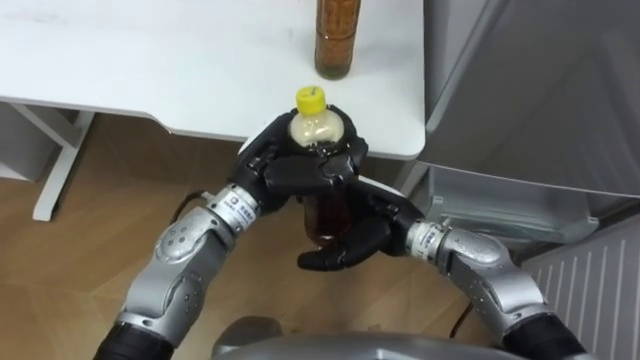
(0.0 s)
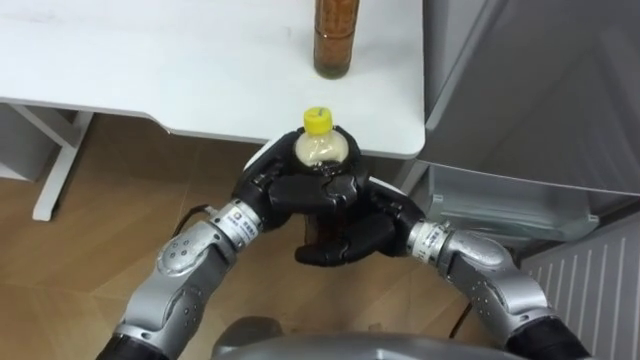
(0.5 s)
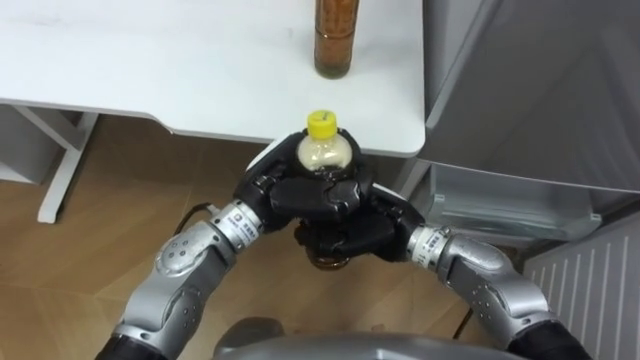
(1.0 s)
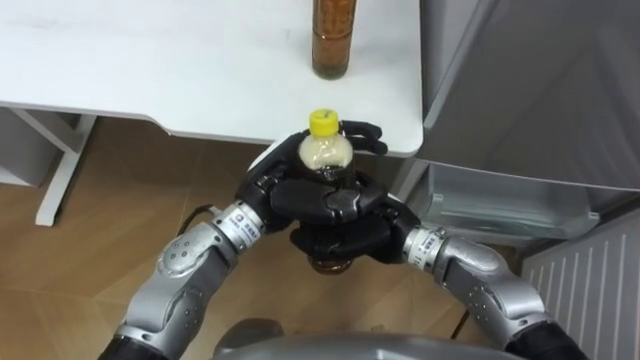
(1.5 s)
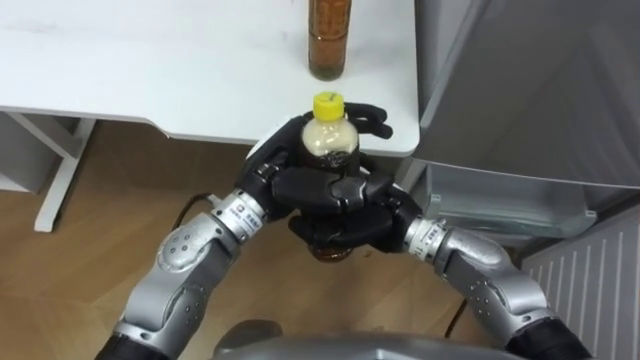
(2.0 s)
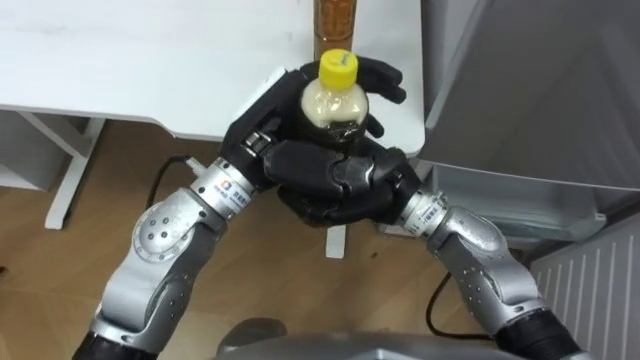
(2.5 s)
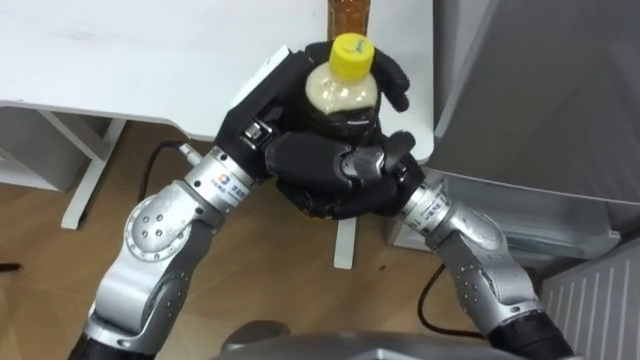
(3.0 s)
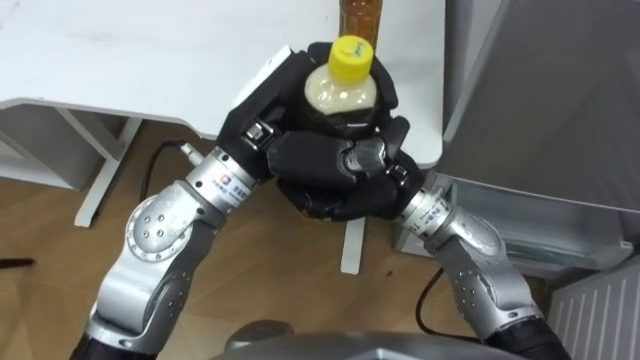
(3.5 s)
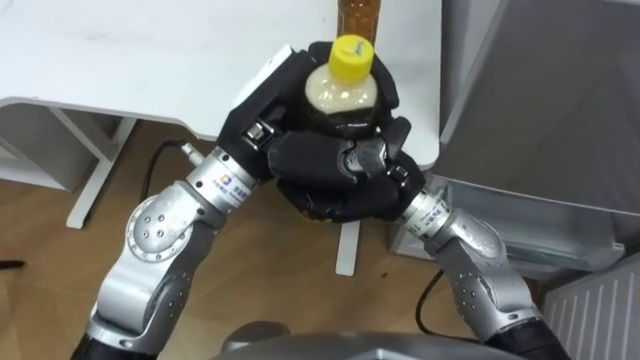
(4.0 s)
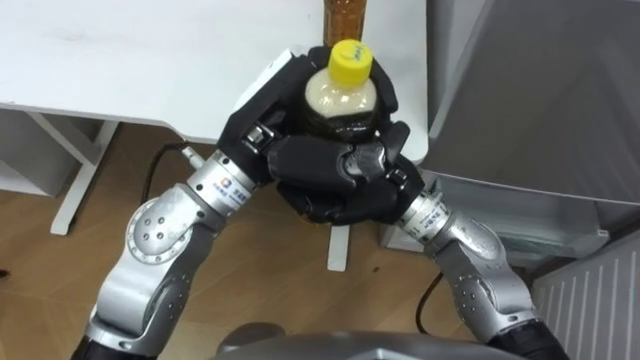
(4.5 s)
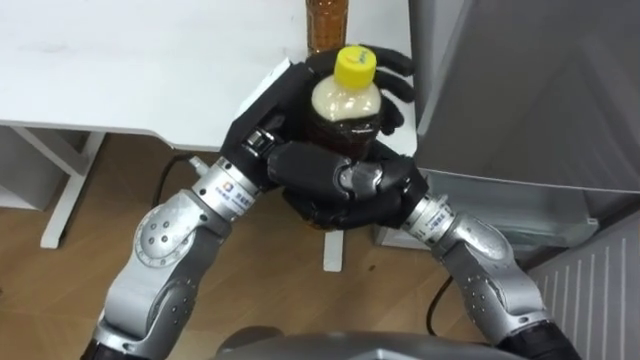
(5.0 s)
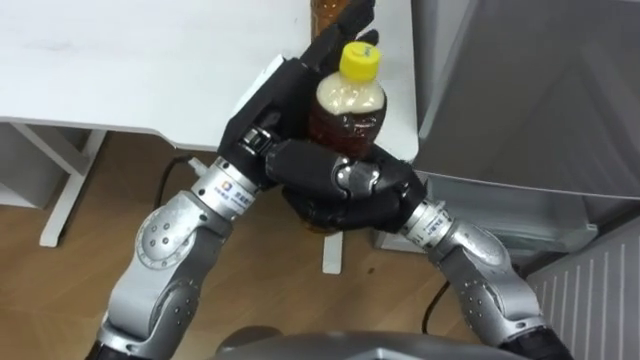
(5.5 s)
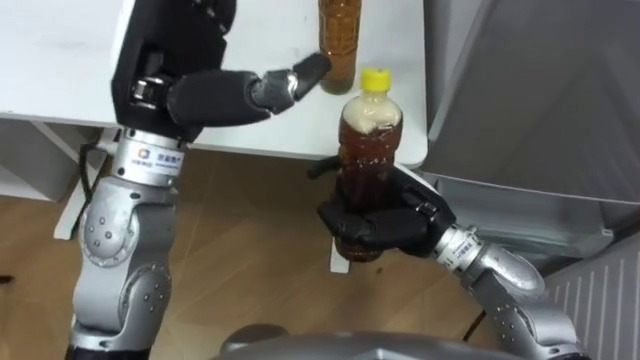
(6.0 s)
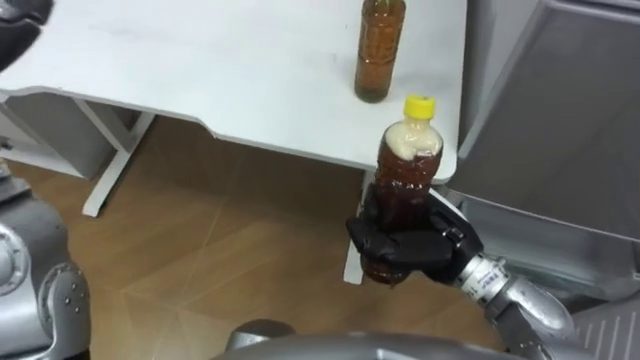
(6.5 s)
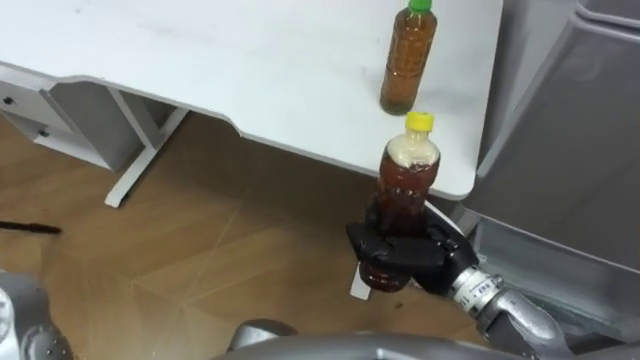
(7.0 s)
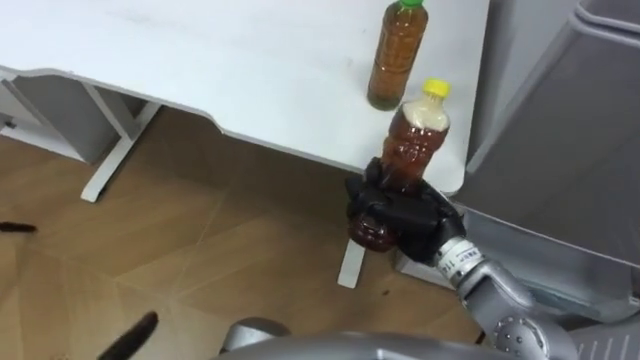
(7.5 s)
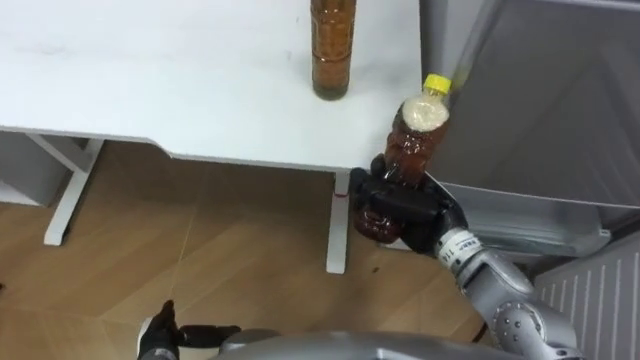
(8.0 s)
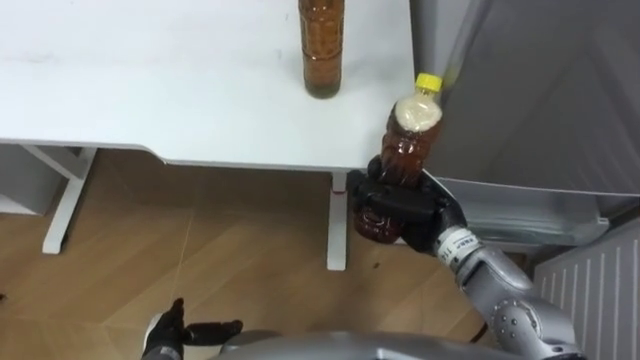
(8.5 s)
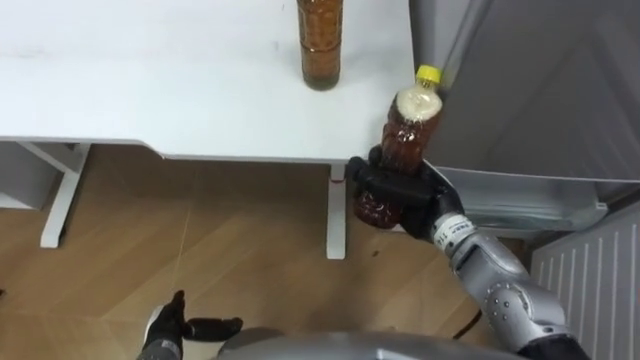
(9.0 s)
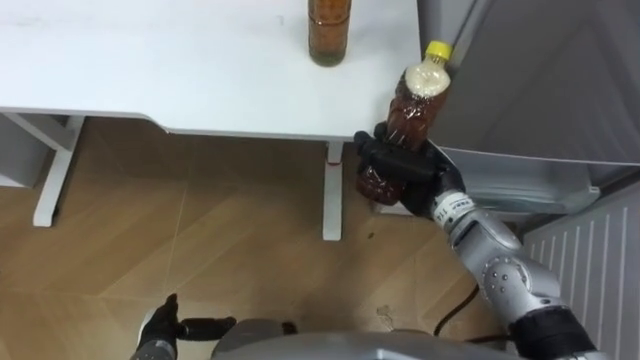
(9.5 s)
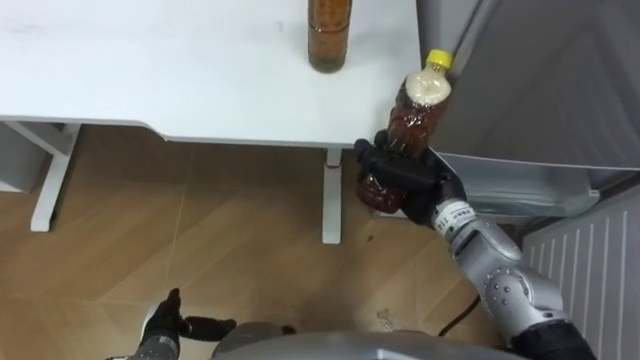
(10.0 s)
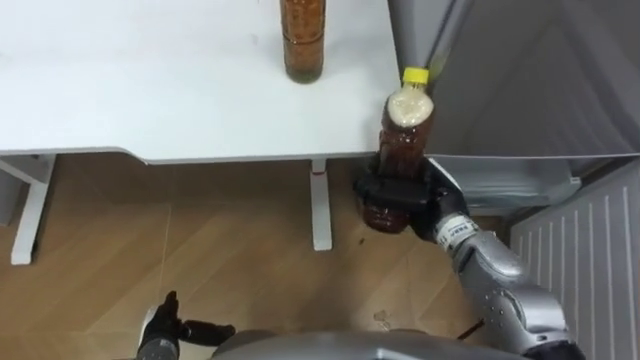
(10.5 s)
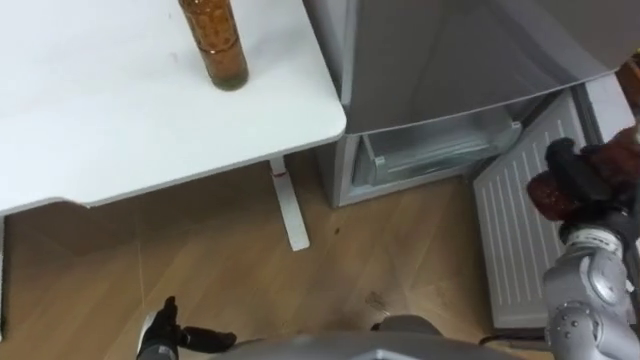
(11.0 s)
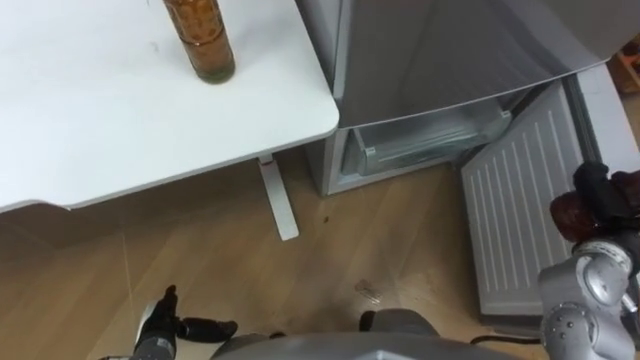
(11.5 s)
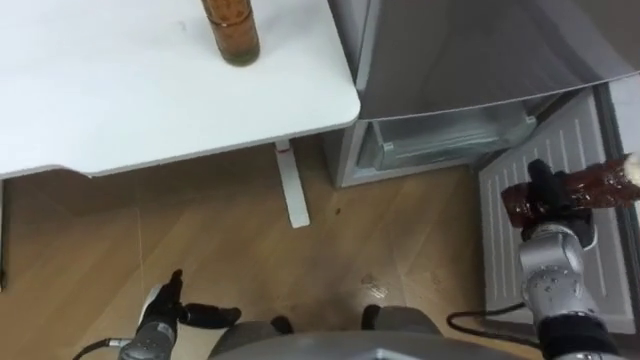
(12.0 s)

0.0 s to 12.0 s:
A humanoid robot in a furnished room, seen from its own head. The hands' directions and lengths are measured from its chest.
Task of the whole recording: Place the drink on the table on the bottom shelf of the refrigerator, then close the drawer and the refrigerator door.
0.0 to 2.0 s: The right hand closes up.
2.0 to 4.0 s: The hands both shift upward by some 10 cm.
4.0 to 6.0 s: The left hand goes some 10 cm to the left, and opens, while the right hand moves some 5 cm.
6.0 to 8.0 s: The right hand ends up about 5 cm from where it was.
10.0 to 12.0 s: The right hand shifts some 20 cm to the right.

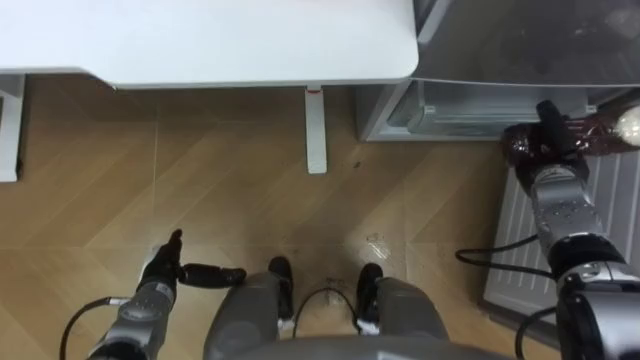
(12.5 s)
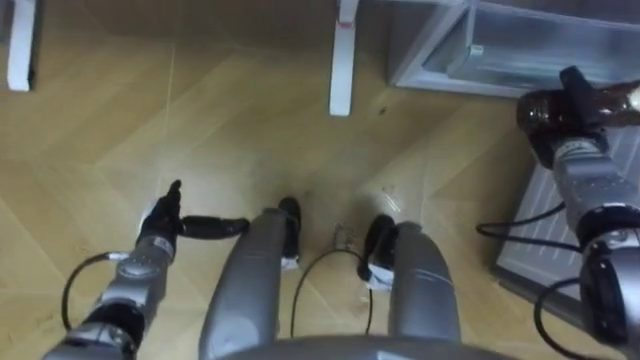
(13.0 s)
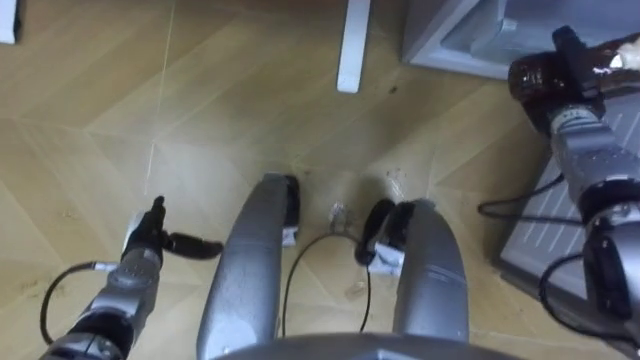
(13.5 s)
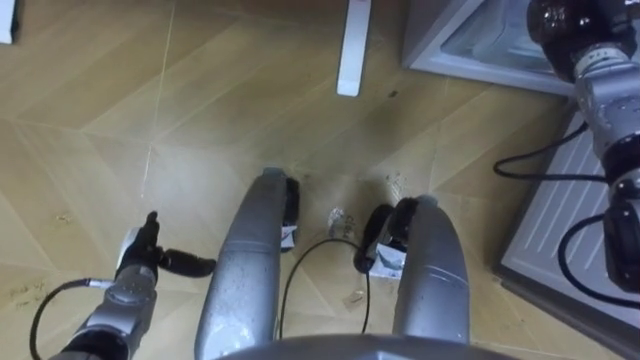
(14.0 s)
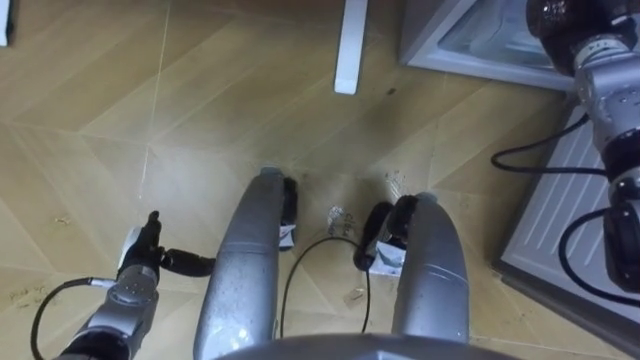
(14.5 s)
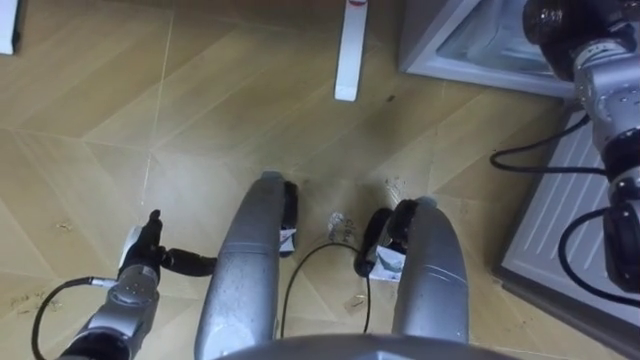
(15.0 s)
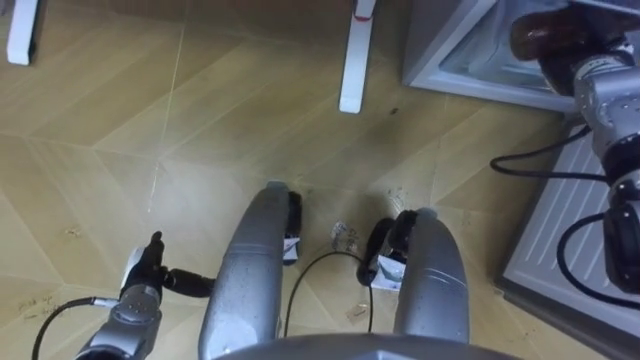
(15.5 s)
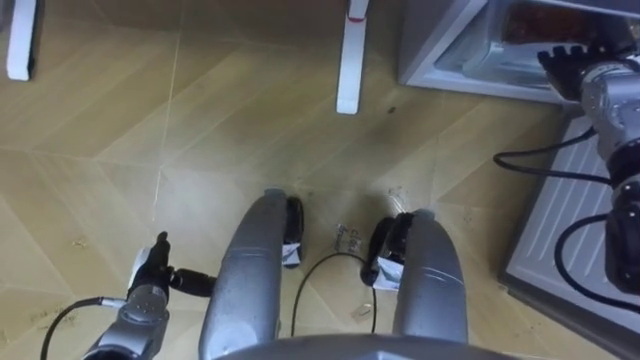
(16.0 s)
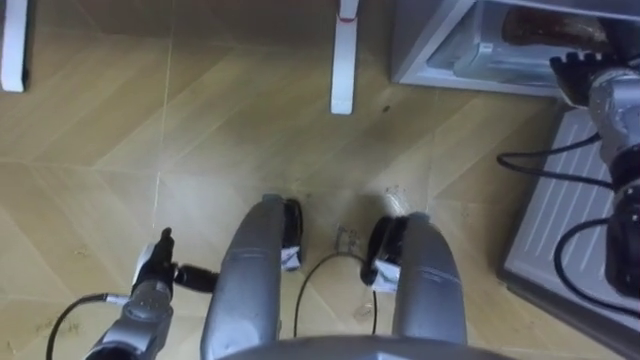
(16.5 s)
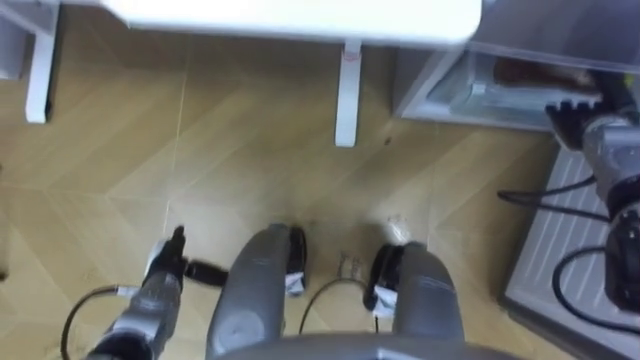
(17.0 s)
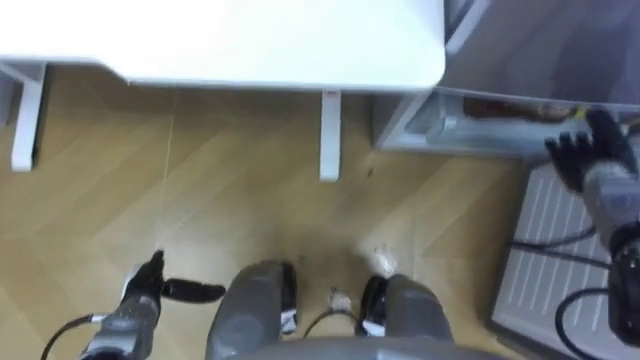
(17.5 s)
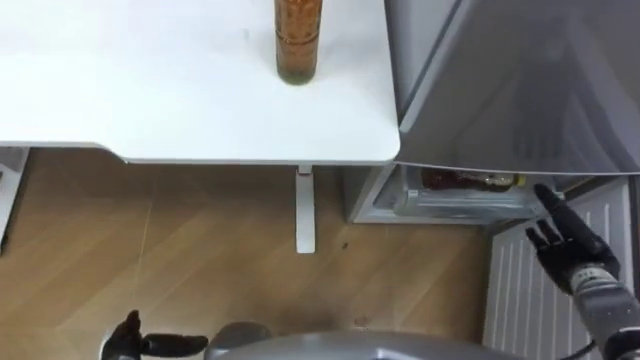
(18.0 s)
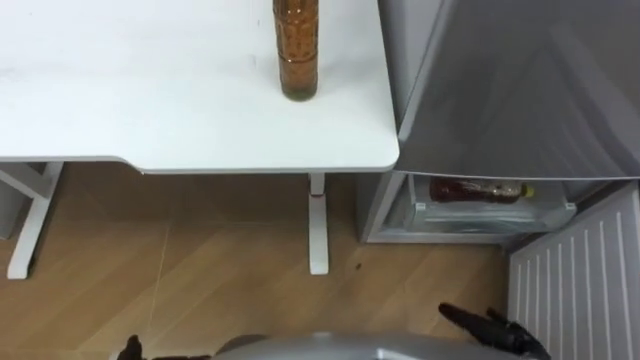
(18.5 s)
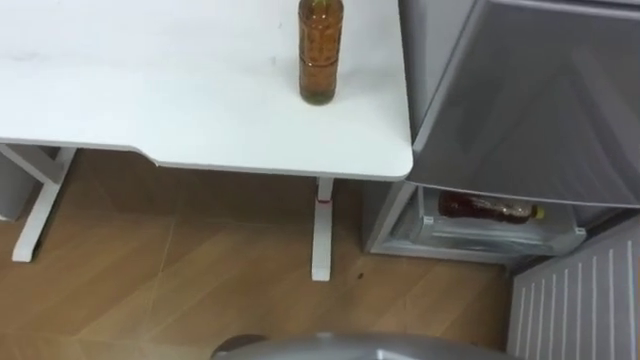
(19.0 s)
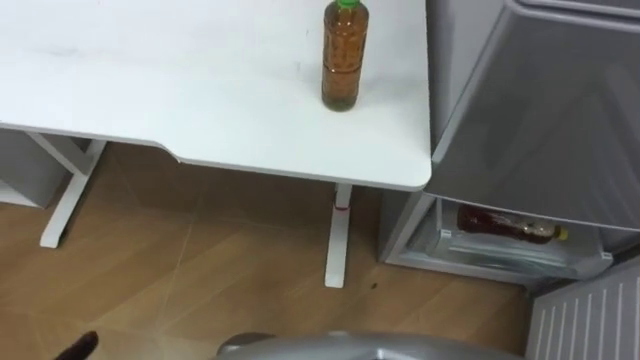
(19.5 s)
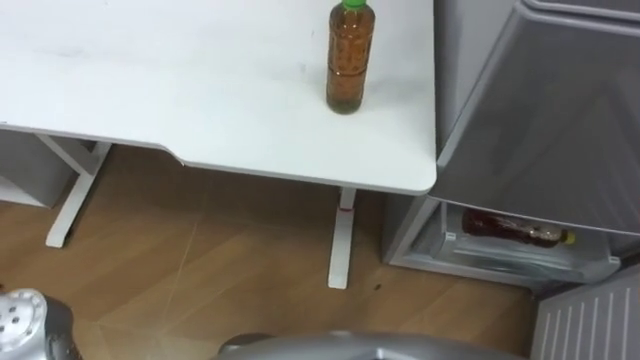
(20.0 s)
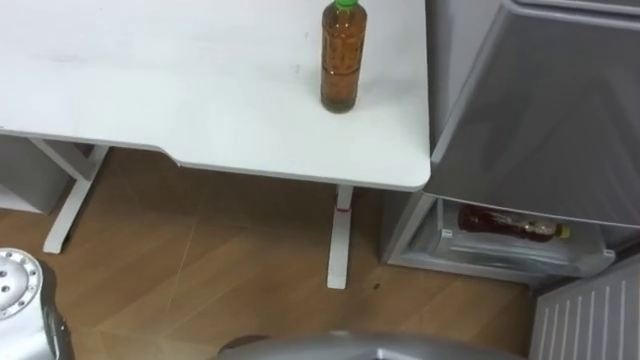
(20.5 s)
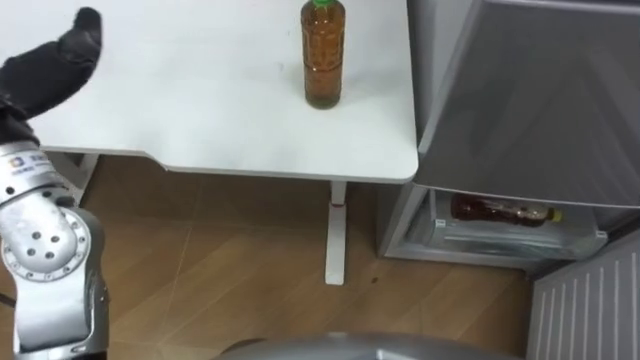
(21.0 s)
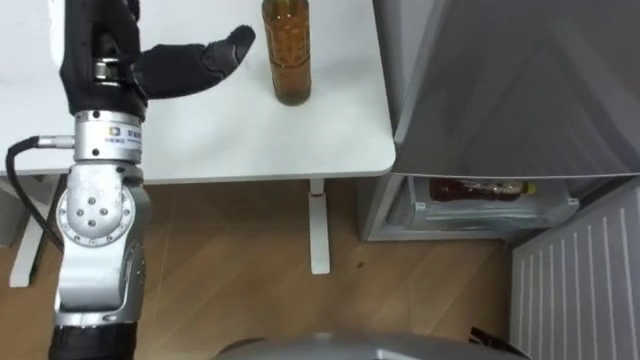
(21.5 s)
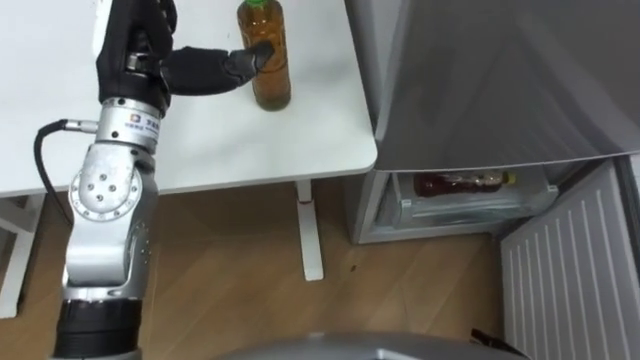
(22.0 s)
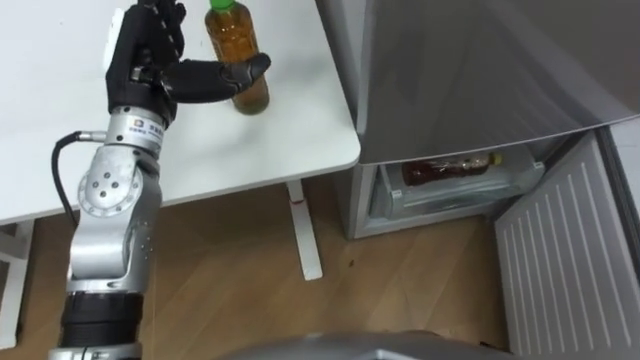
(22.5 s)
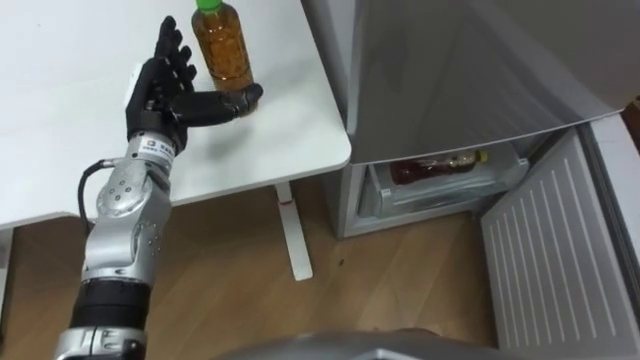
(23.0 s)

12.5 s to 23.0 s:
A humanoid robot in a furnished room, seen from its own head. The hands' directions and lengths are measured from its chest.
Task of the whole recording: Place the drink on the table on the bottom shelf of the refrigerator, then close the drawer and the refrigerator door.
12.5 to 14.5 s: The right hand goes about 20 cm upward and forward.
14.5 to 16.5 s: The right hand ends up approximately 5 cm from where it was, and opens.
